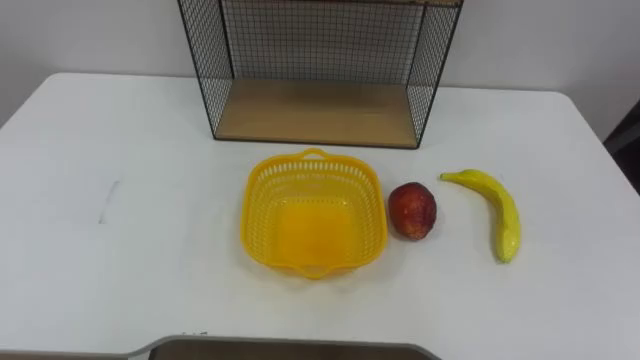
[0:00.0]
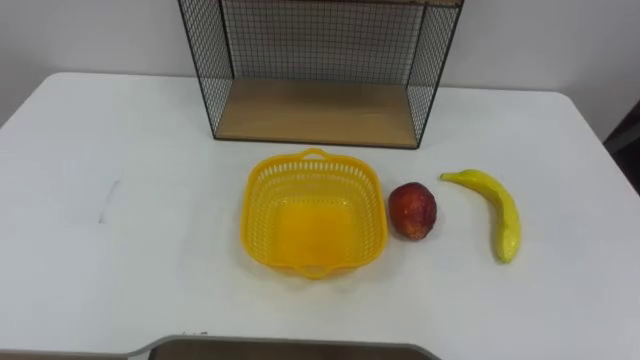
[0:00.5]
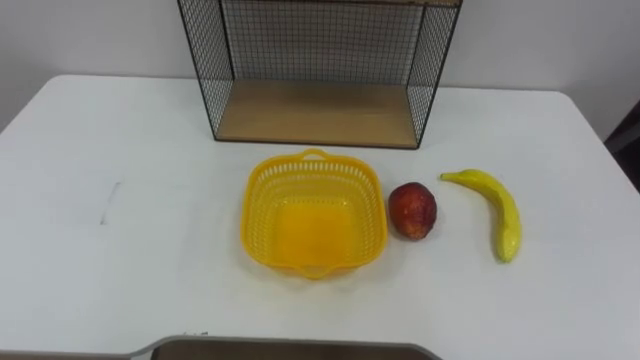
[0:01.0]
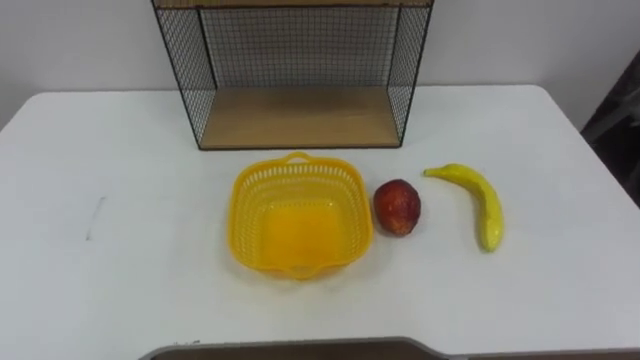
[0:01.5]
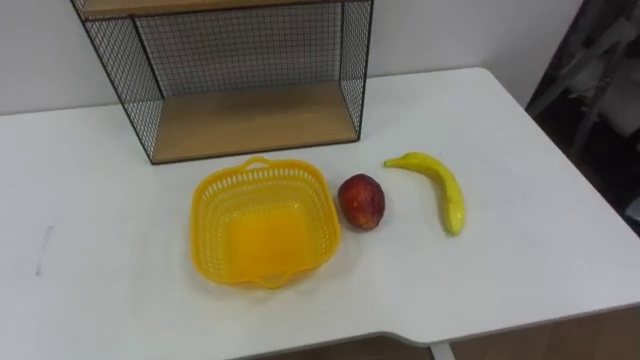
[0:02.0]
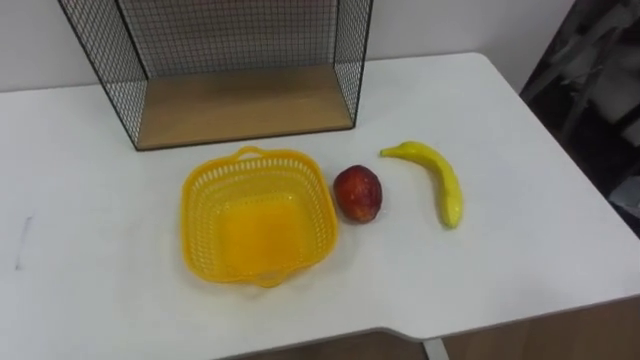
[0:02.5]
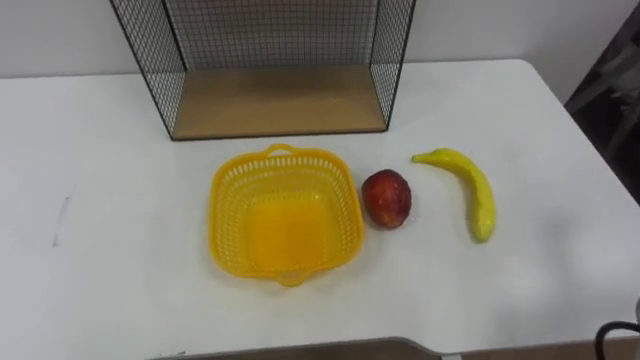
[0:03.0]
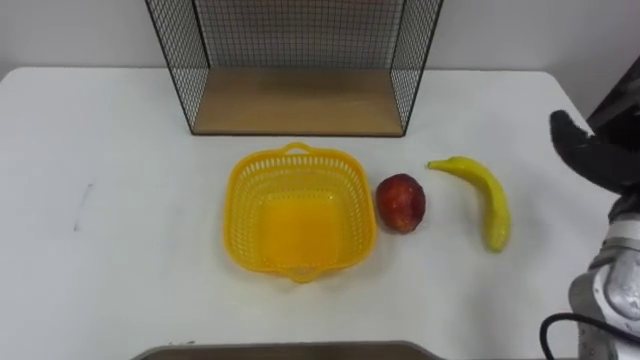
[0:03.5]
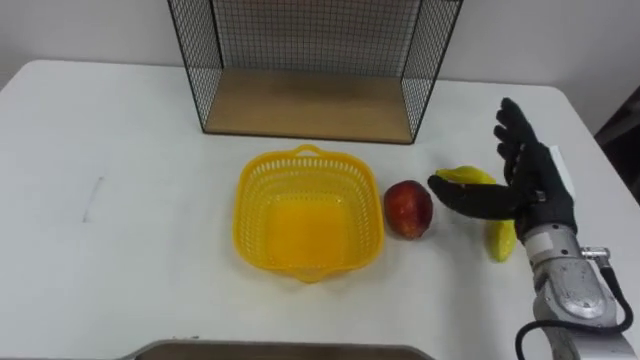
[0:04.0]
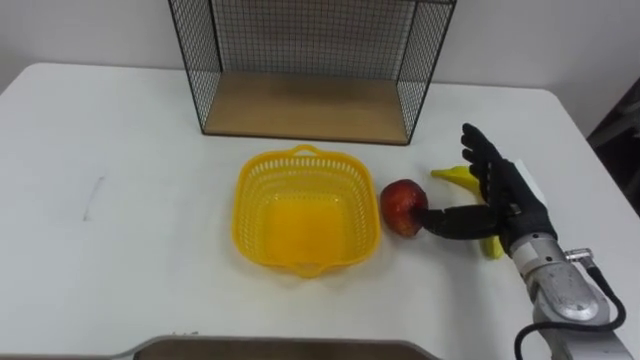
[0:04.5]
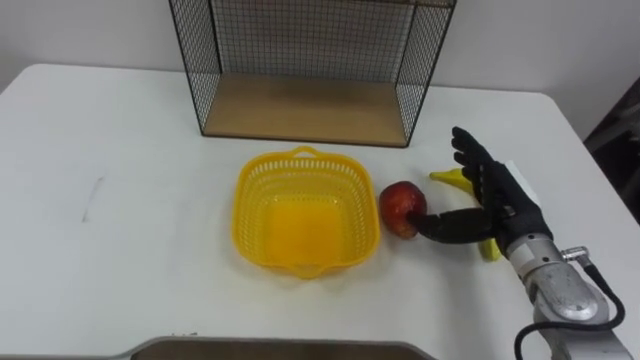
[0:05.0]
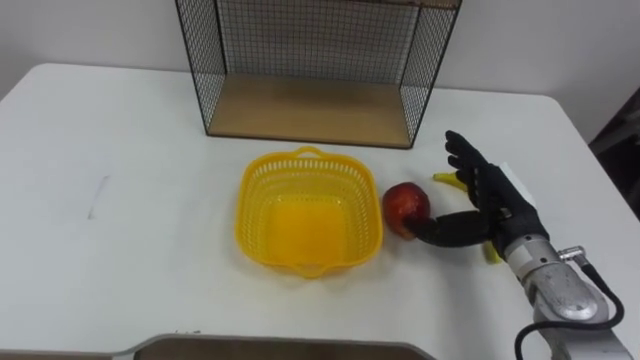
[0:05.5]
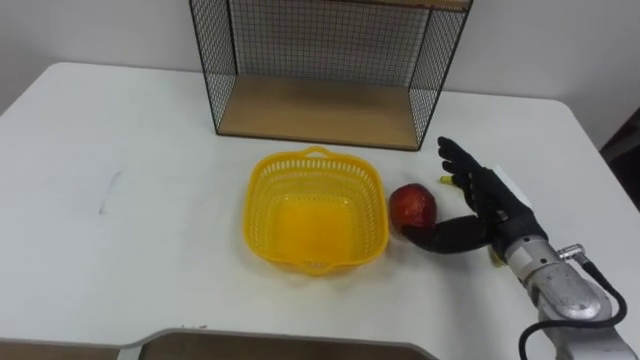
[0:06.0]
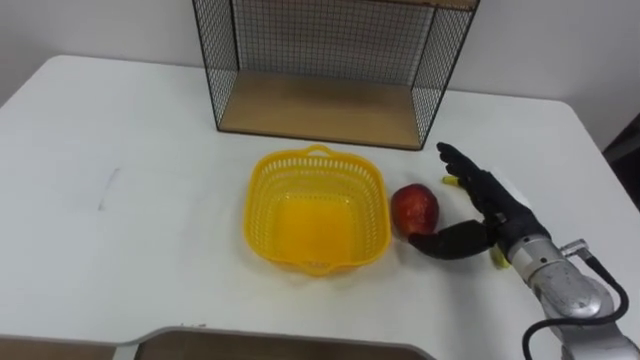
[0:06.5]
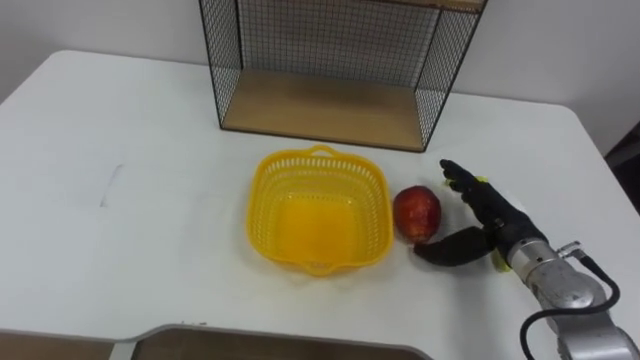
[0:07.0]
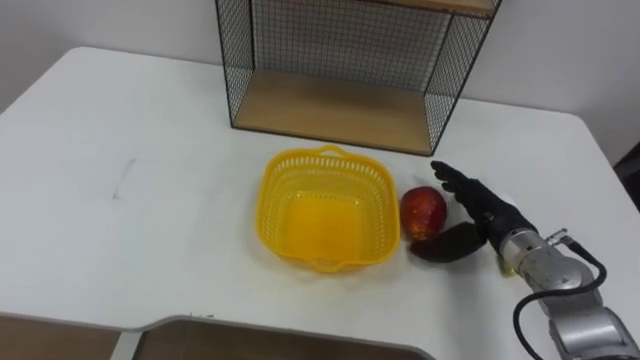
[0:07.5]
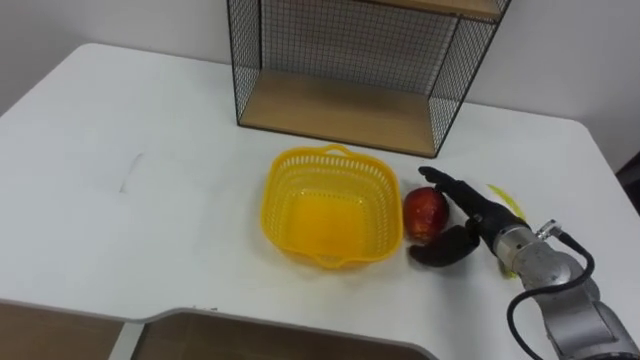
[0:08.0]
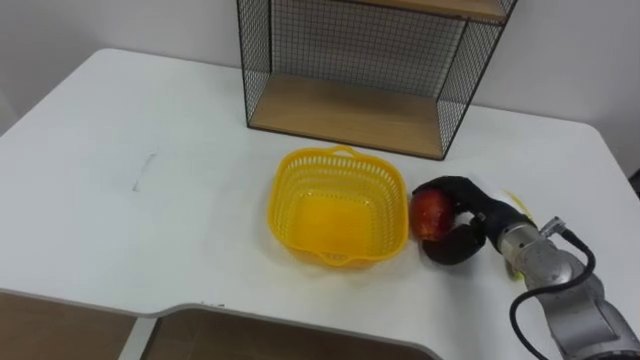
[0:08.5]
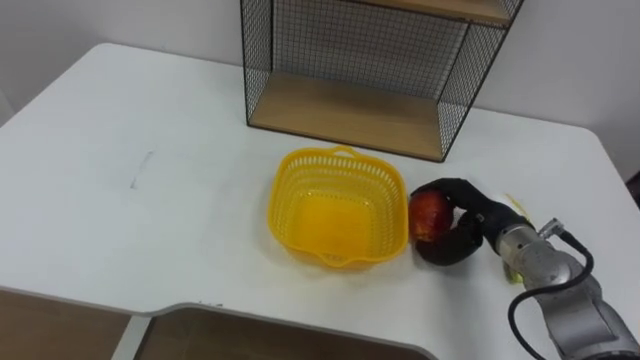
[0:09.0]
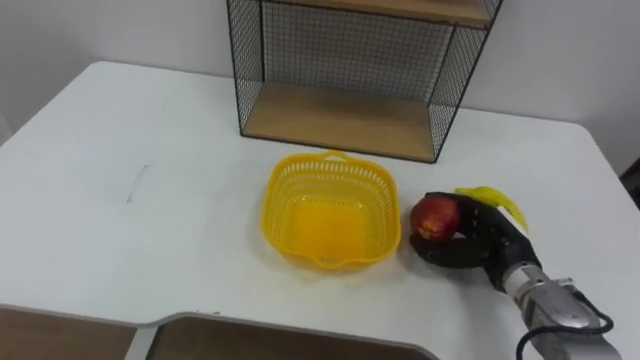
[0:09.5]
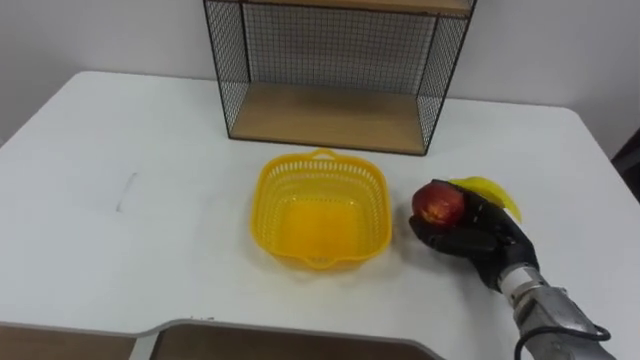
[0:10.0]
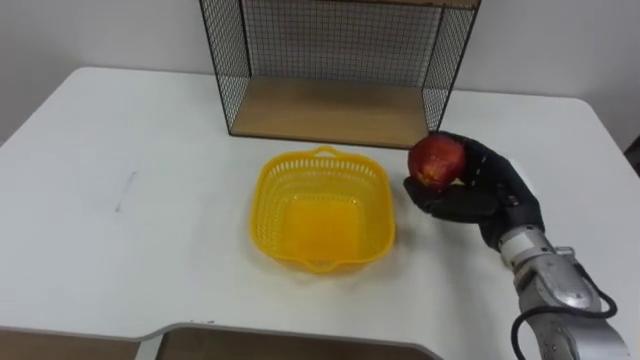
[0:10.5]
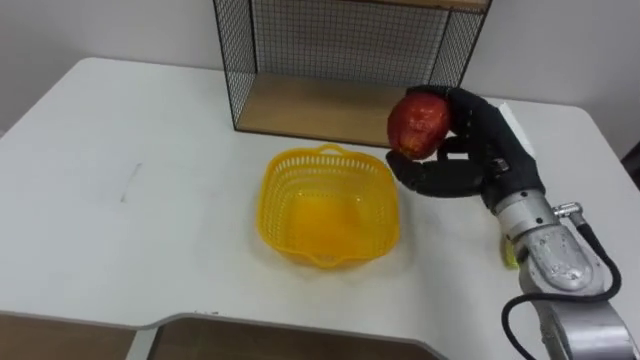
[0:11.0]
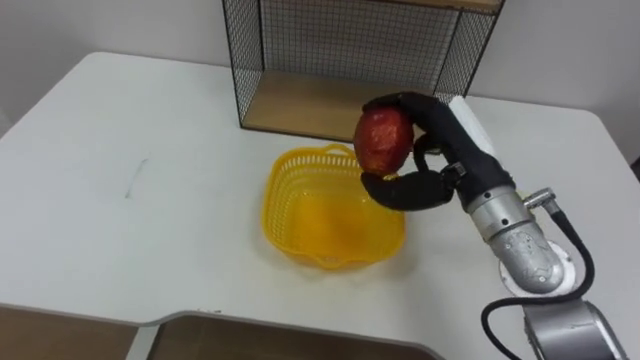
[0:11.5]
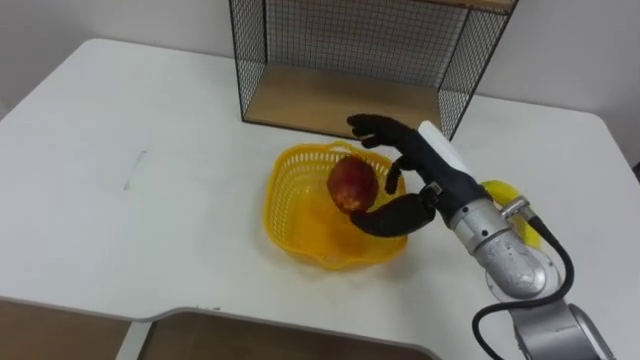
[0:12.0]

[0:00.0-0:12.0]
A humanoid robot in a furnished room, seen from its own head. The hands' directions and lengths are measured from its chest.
Task of the whole recording: Put the fruit on the table into the basket, then place the basket on the shelf.
0:04.0 to 0:06.0: The right hand shifts by roughly 5 cm.
0:08.0 to 0:10.0: The right hand closes its fingers.
0:10.0 to 0:12.0: The right hand goes approximately 15 cm upward and to the left.

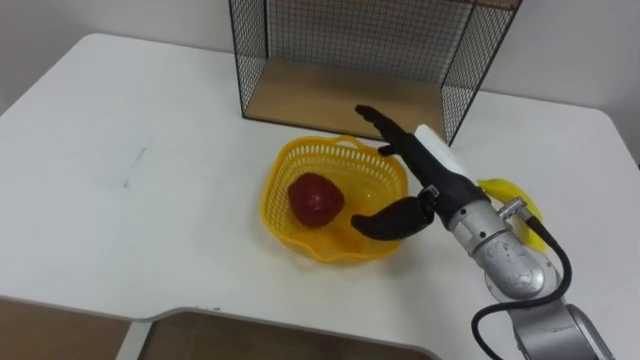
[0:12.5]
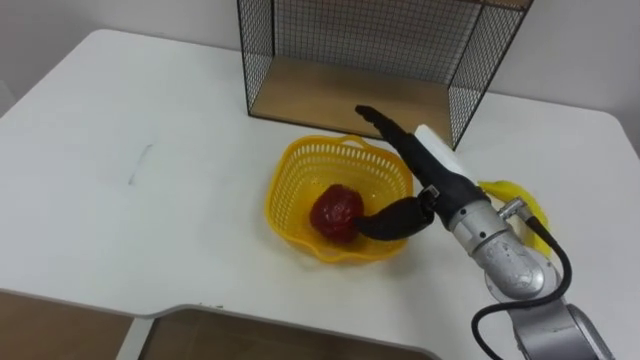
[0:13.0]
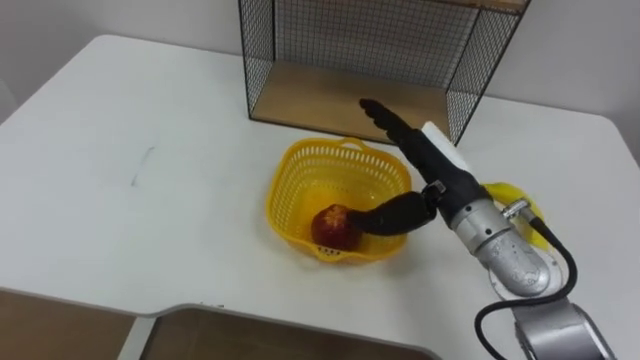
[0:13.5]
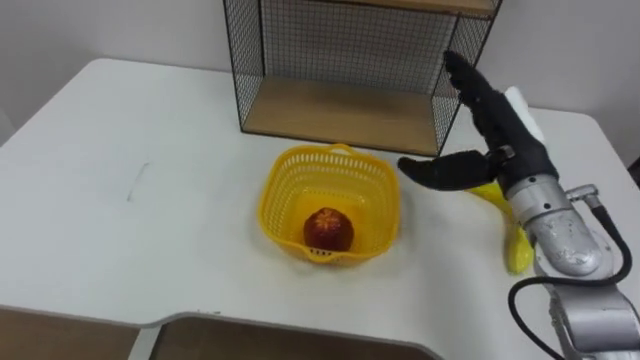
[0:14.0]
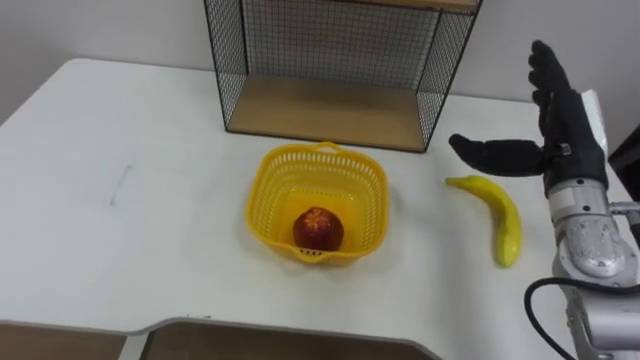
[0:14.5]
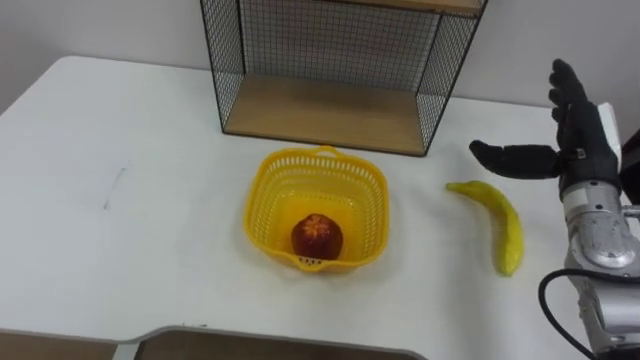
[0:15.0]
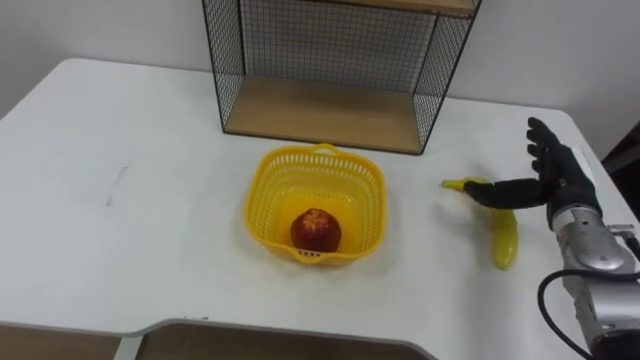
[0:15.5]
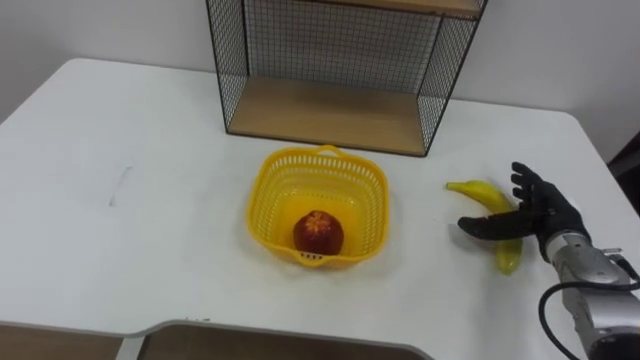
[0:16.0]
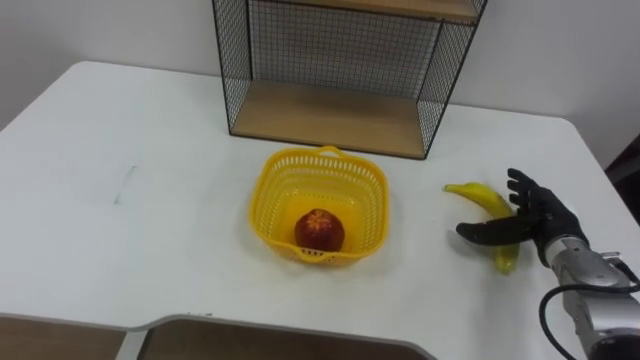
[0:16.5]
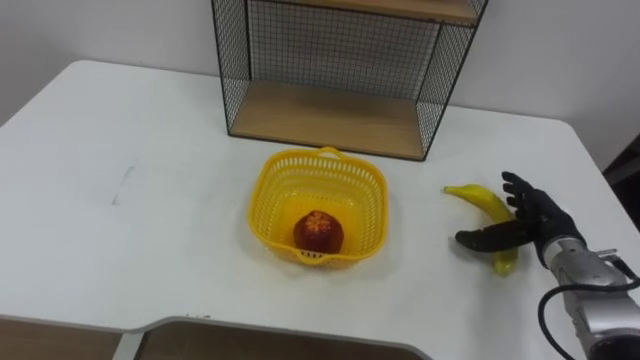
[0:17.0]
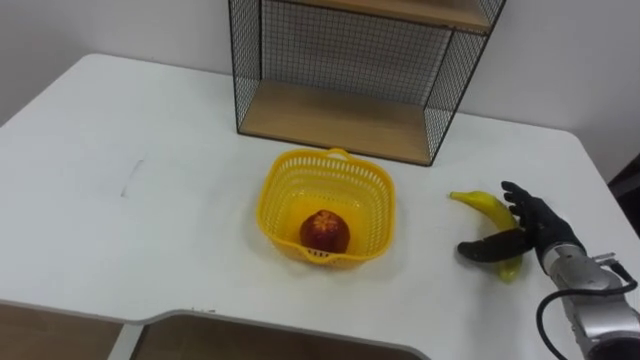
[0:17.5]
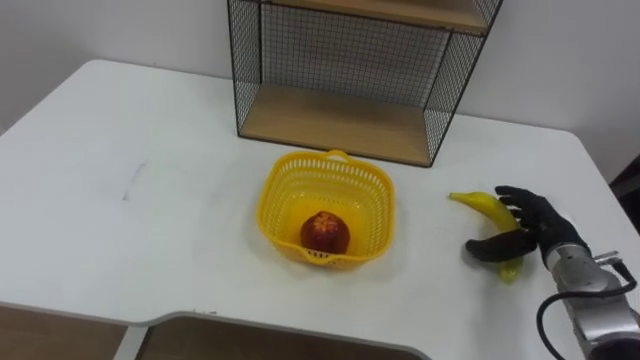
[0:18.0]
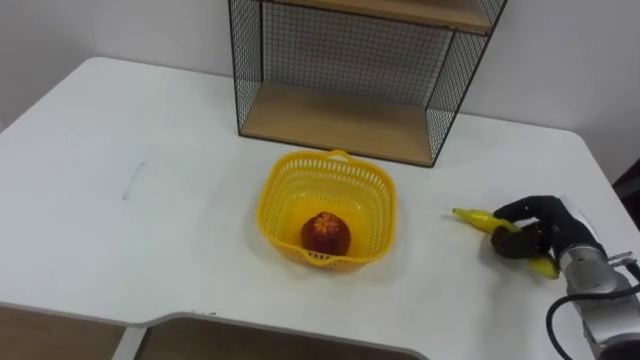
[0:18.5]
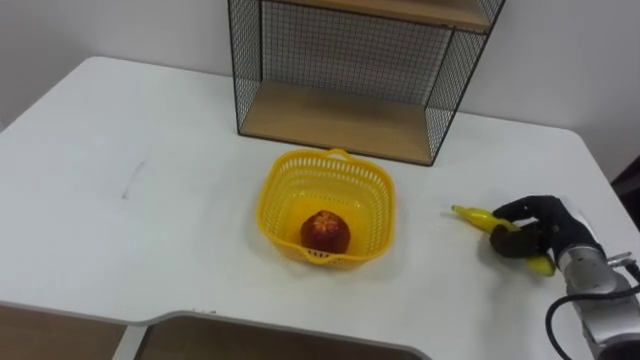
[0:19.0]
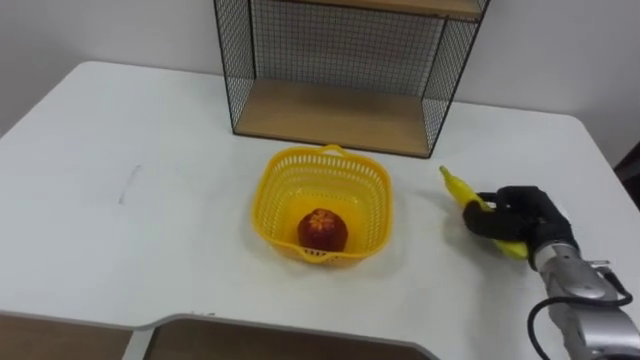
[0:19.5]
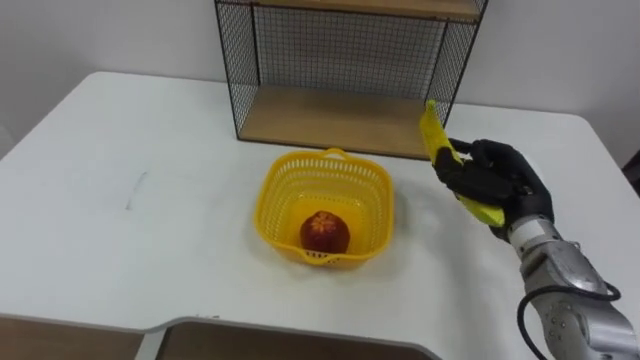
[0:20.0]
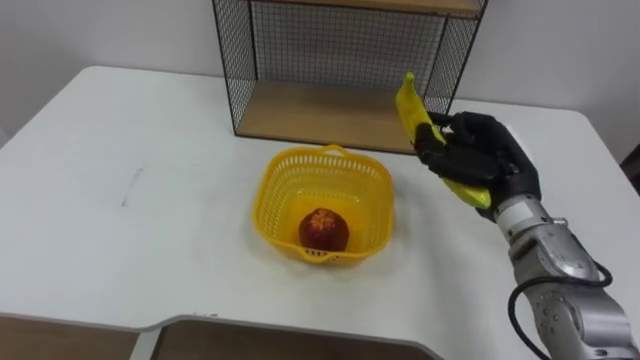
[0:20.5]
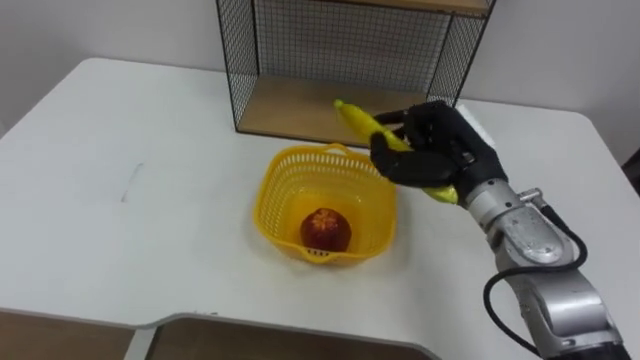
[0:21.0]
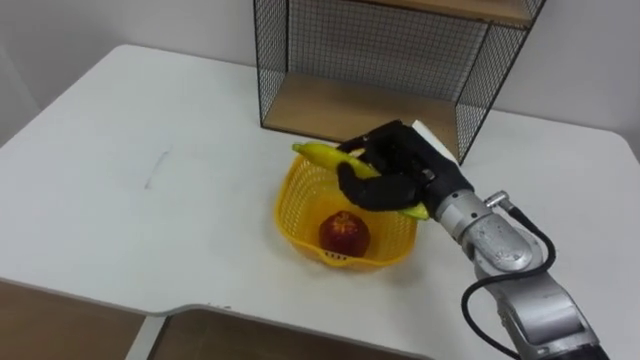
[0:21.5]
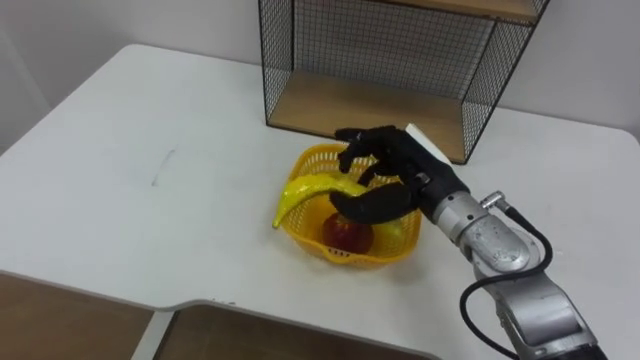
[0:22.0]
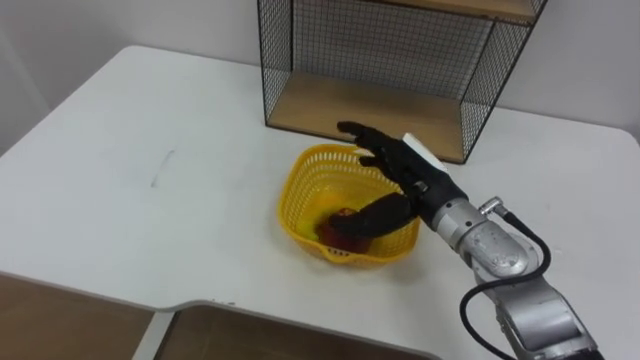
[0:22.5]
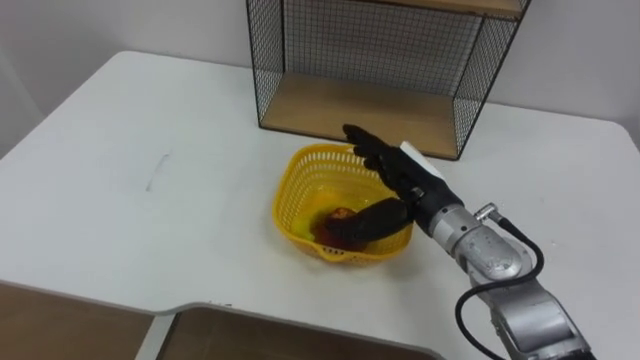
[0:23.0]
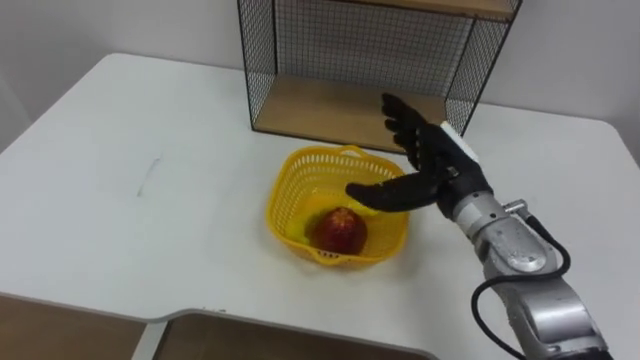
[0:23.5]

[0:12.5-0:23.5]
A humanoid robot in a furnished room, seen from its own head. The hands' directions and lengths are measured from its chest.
Task of the whole recording: Put the fruit on the table into the basket, then place the basket on the shelf.
0:12.5 to 0:14.5: The right hand moves to the right, some 15 cm.
0:14.5 to 0:16.0: The right hand goes some 15 cm downward.
0:18.0 to 0:20.0: The right hand is displaced upward and to the left by approximately 10 cm, and closes.
0:20.0 to 0:21.5: The right hand moves to the left, roughly 10 cm.
0:21.5 to 0:23.5: The right hand opens.
